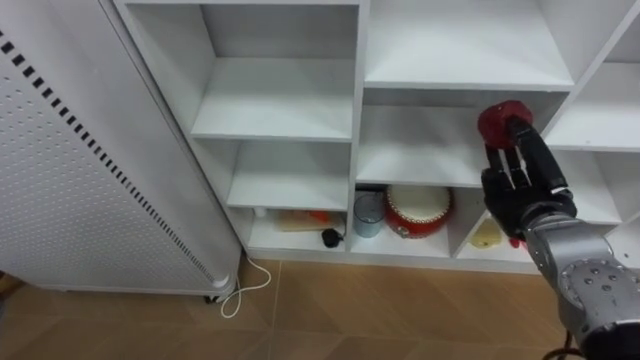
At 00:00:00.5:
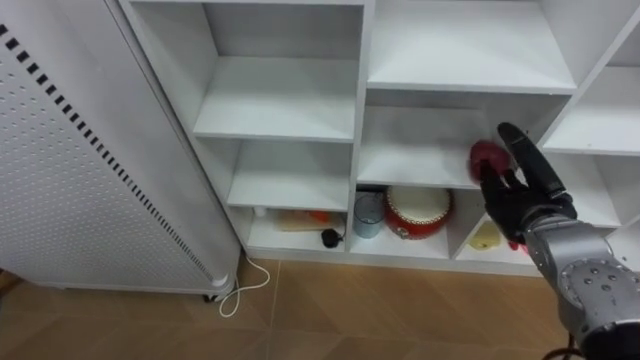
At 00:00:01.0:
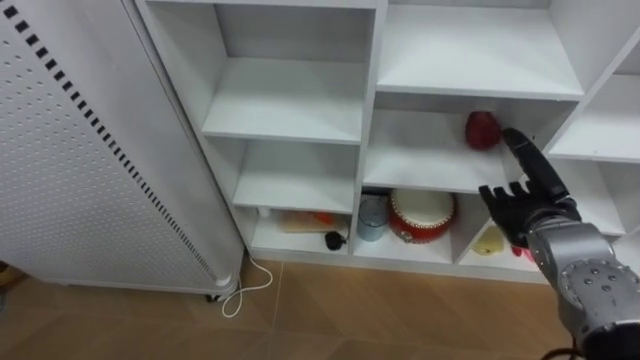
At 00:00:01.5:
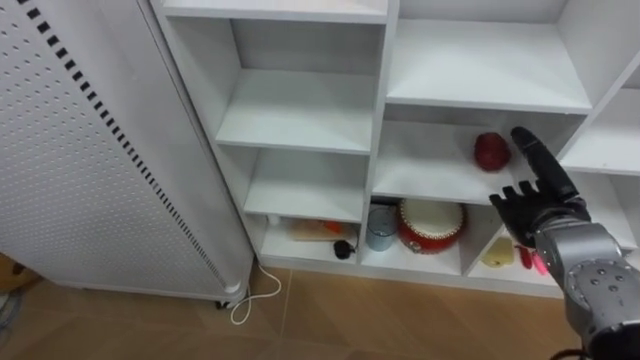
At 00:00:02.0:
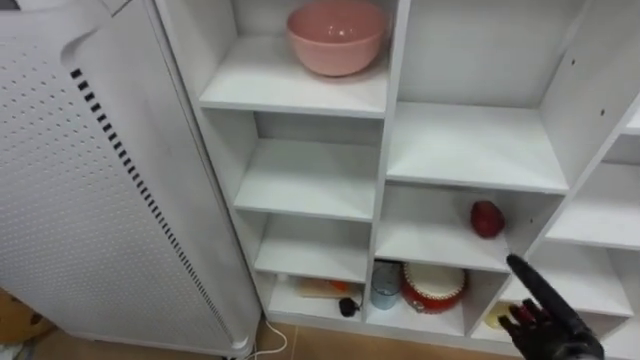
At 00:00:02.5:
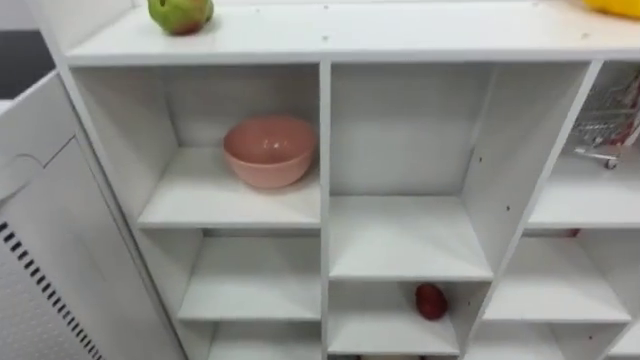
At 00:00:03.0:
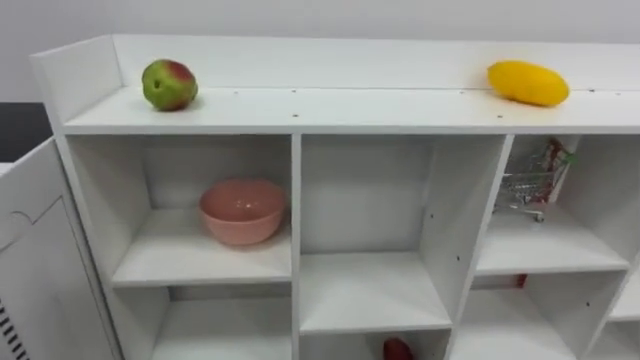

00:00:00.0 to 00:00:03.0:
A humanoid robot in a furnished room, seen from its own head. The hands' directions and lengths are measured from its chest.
Task of the whole recording: Put the apple in the cell in the second column from the left and the second row from the top.
00:00:00.0 to 00:00:01.5: The right hand opens up.
